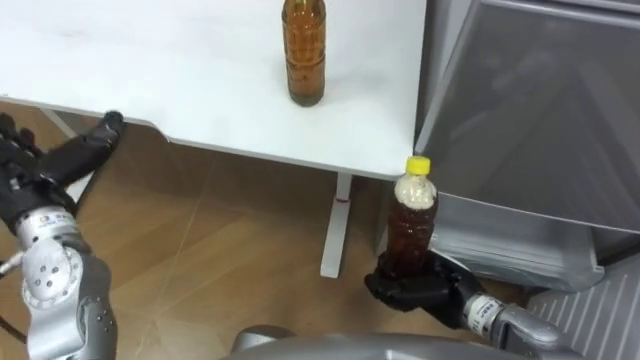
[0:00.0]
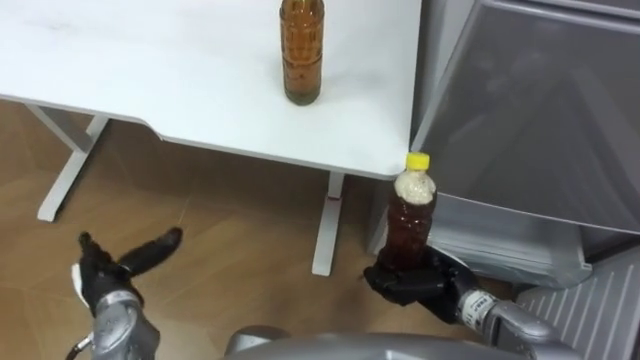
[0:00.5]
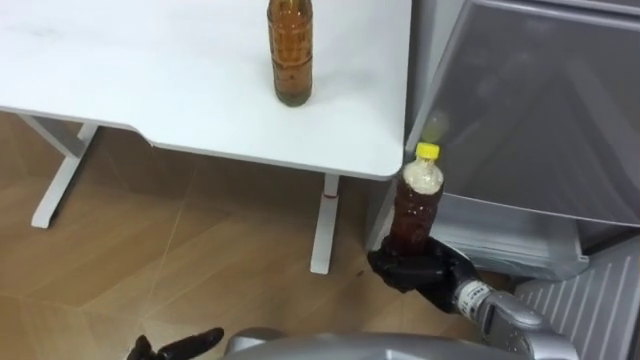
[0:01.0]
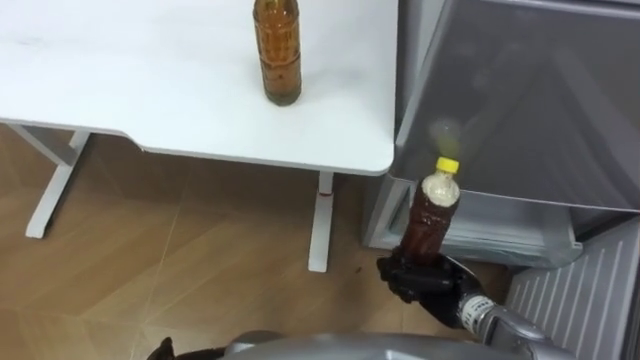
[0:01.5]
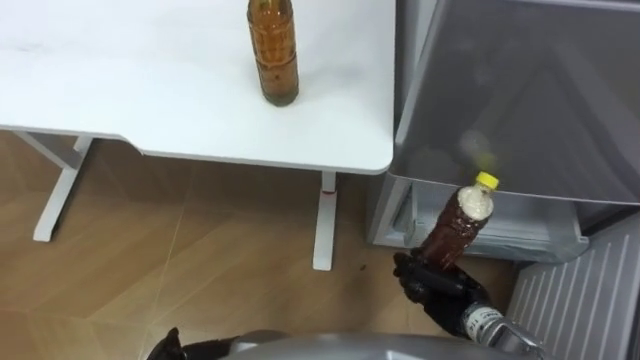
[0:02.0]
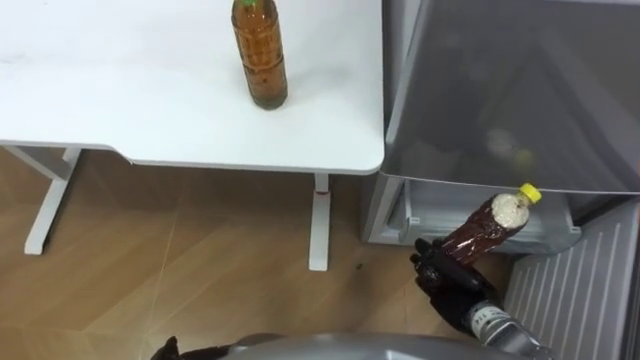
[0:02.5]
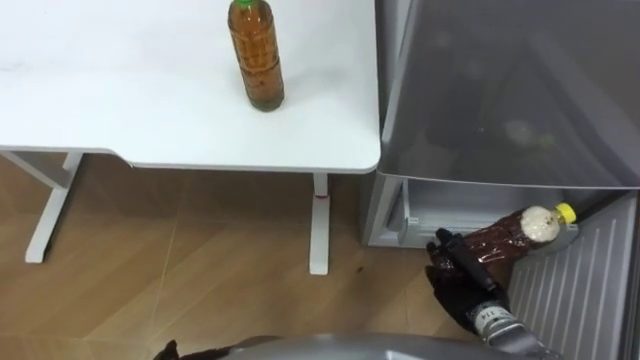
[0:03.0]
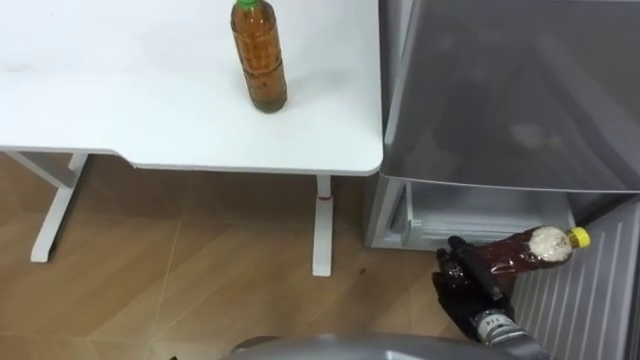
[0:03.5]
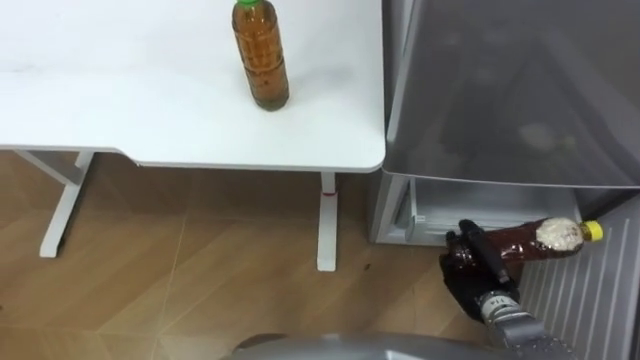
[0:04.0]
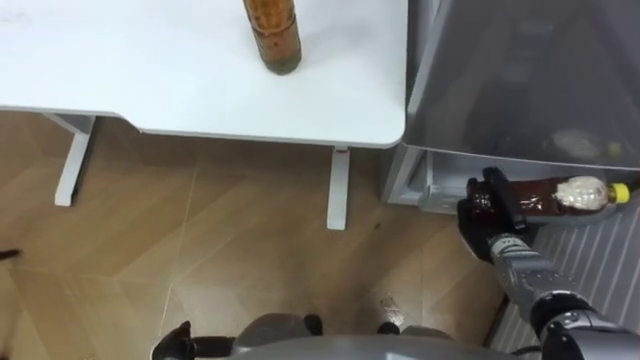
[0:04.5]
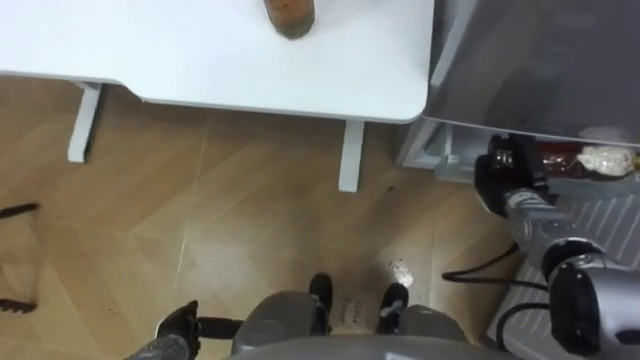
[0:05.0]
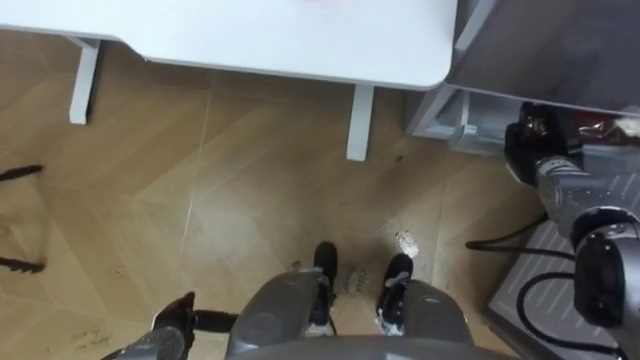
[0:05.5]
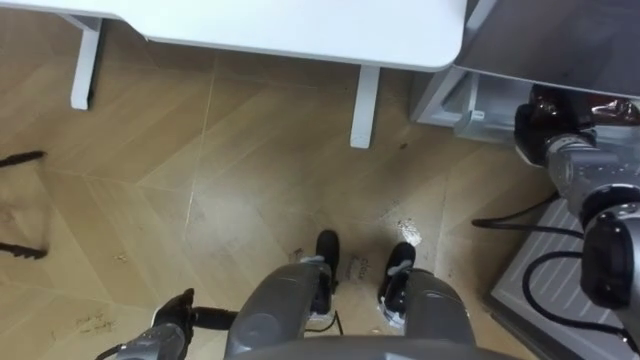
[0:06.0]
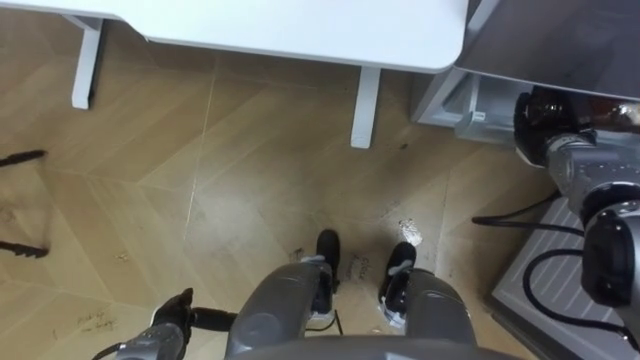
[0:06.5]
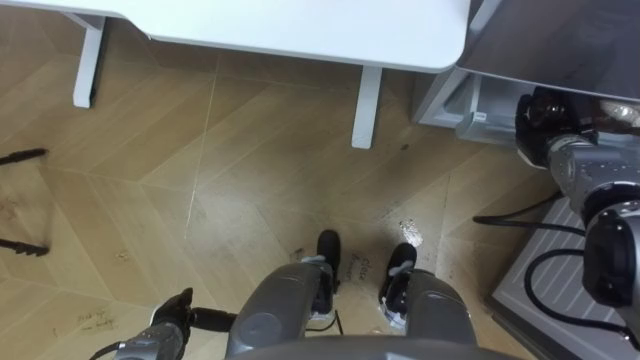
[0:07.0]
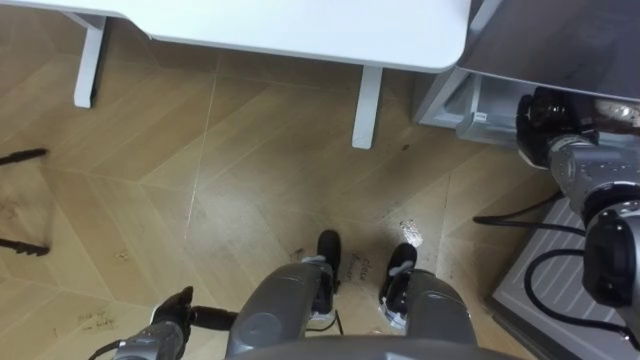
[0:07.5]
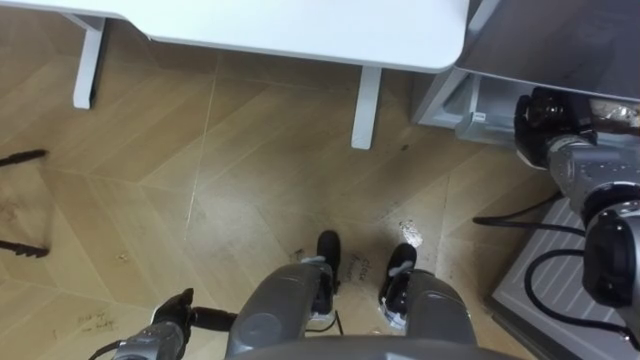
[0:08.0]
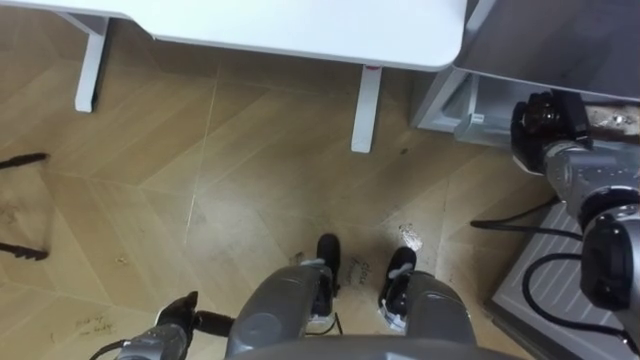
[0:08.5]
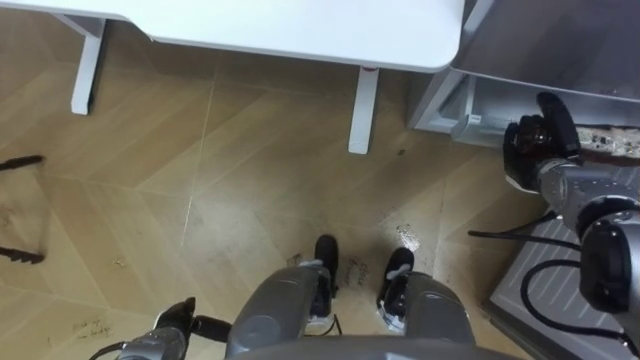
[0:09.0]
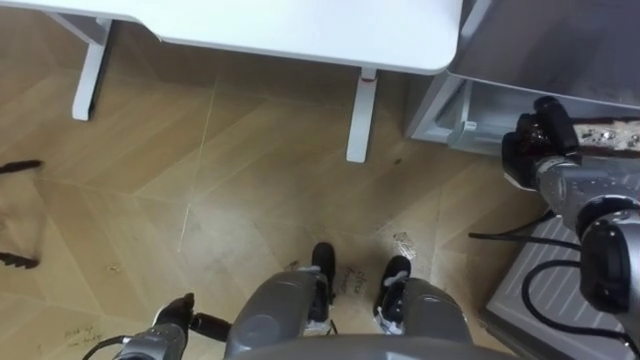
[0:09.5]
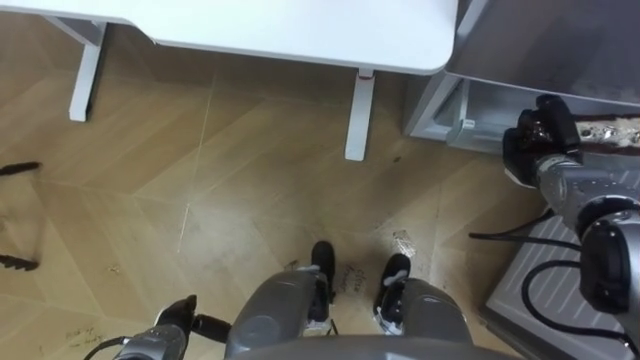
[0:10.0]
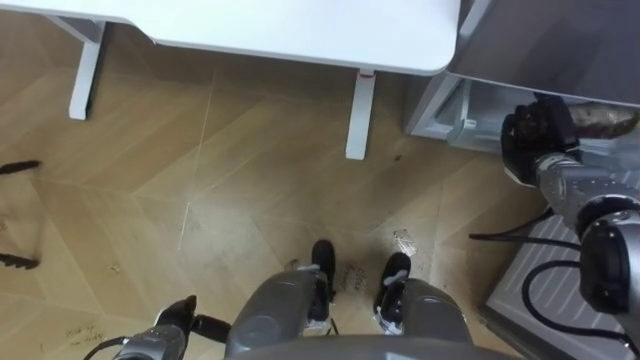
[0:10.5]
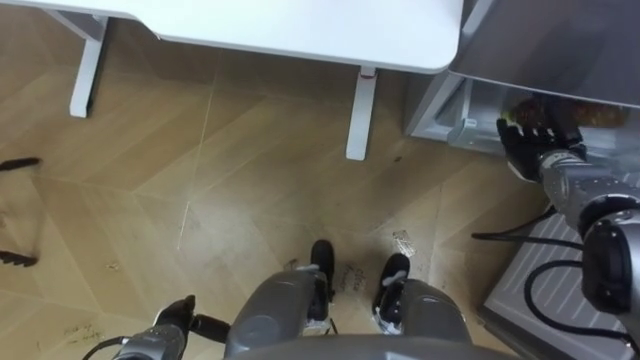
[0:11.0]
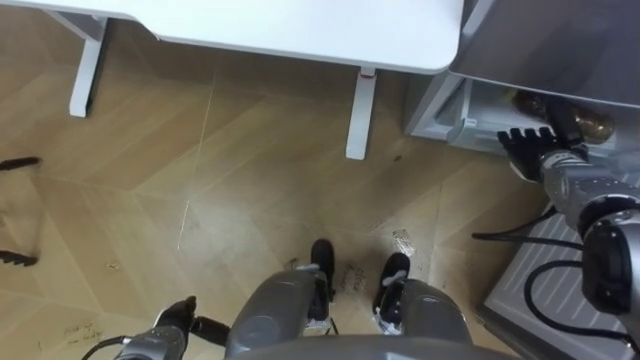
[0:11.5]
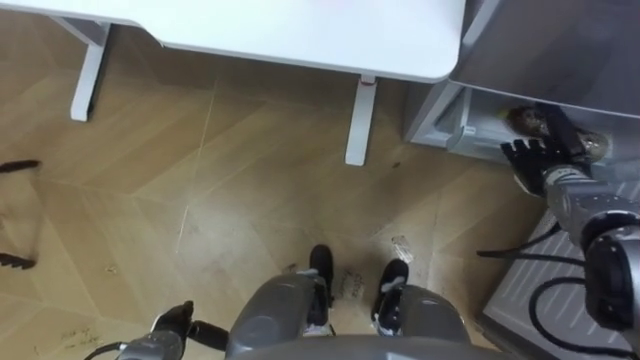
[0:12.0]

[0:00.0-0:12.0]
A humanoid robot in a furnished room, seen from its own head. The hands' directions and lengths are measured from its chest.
Task of the whole recording: Place the drink on the table on the bottom shelf of the refrigerator, then close the drawer and the refrigerator door.
0:00.0 to 0:02.0: The right hand ends up approximately 5 cm from where it was.
0:04.0 to 0:06.0: The right hand is displaced forward, upward and to the right by some 25 cm.
0:08.0 to 0:10.0: The hands stay close to where they were, moving slightly.
0:10.0 to 0:12.0: The right hand opens.

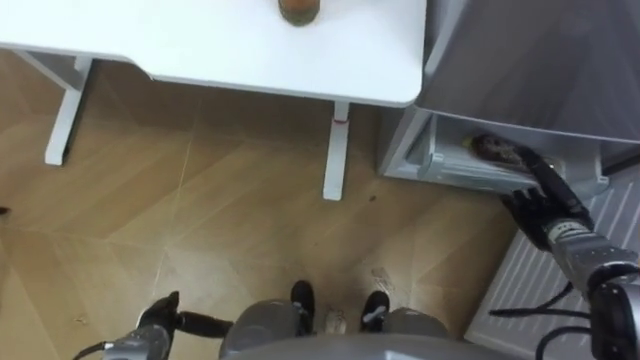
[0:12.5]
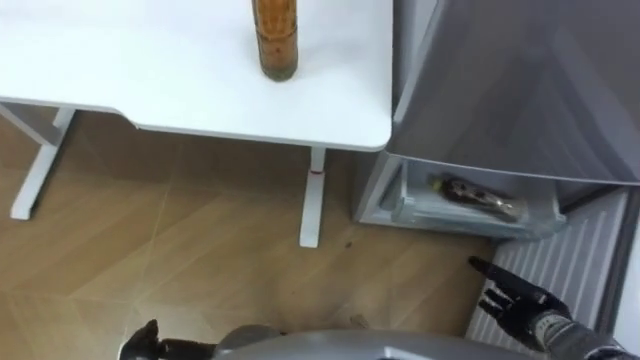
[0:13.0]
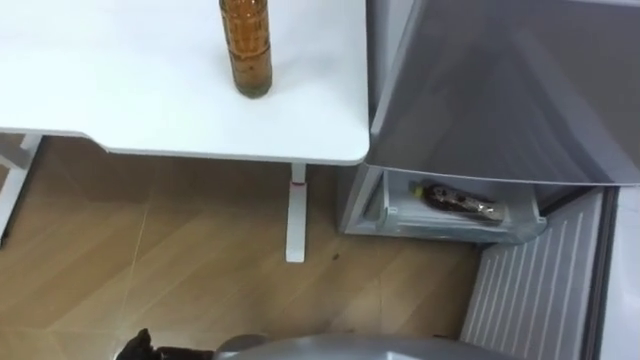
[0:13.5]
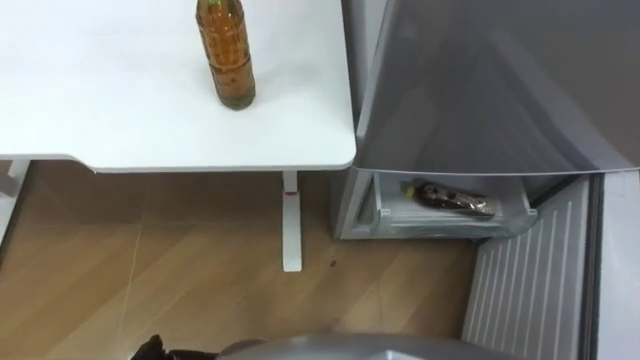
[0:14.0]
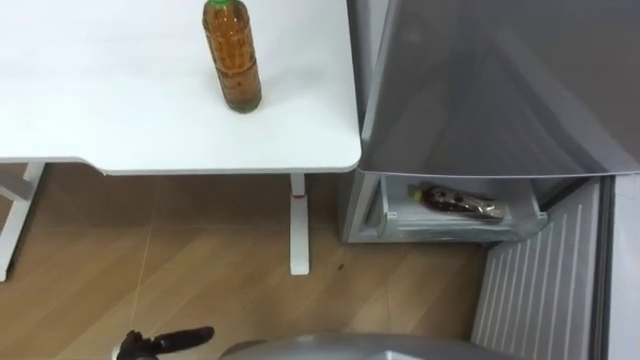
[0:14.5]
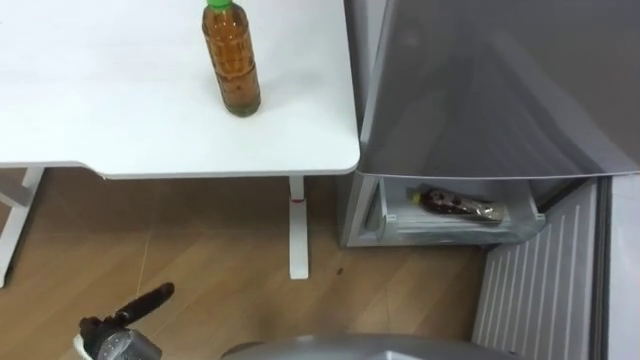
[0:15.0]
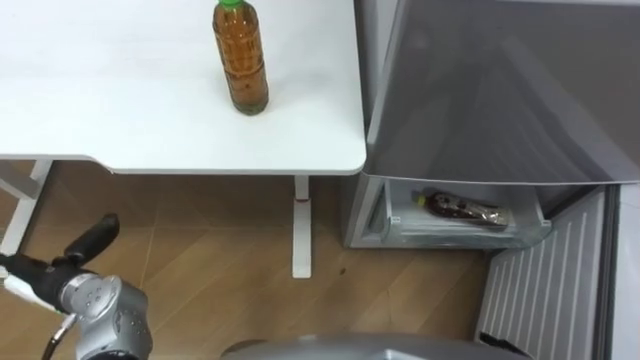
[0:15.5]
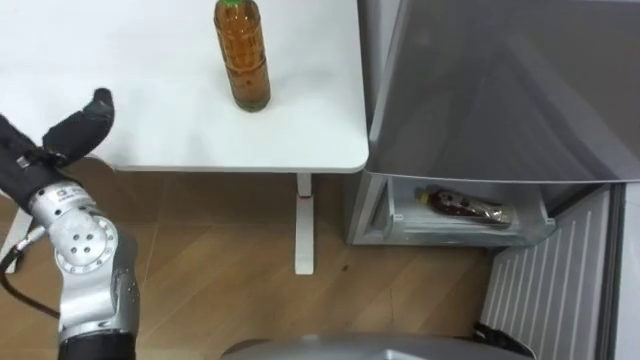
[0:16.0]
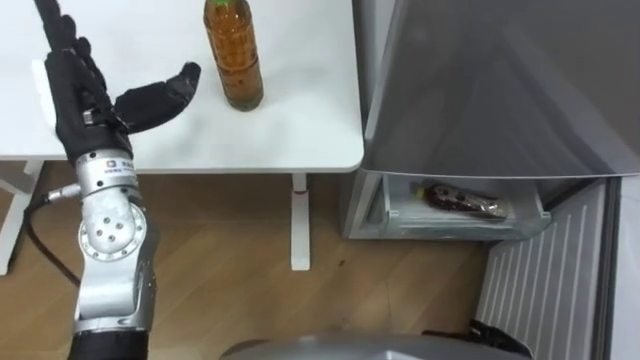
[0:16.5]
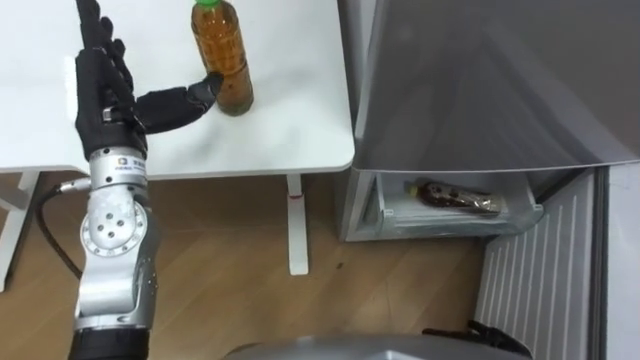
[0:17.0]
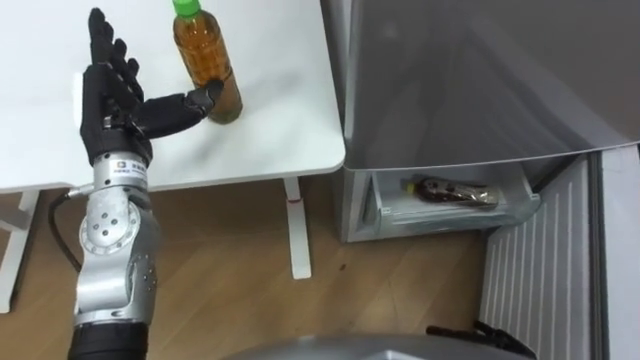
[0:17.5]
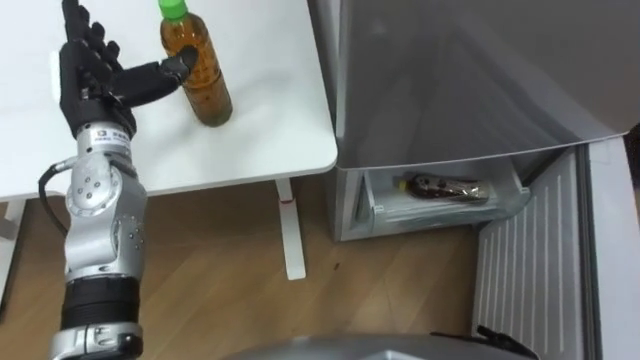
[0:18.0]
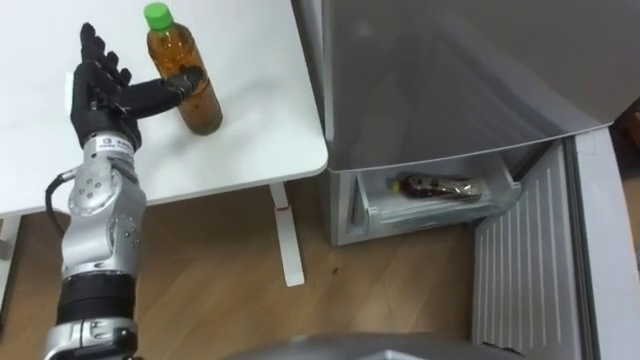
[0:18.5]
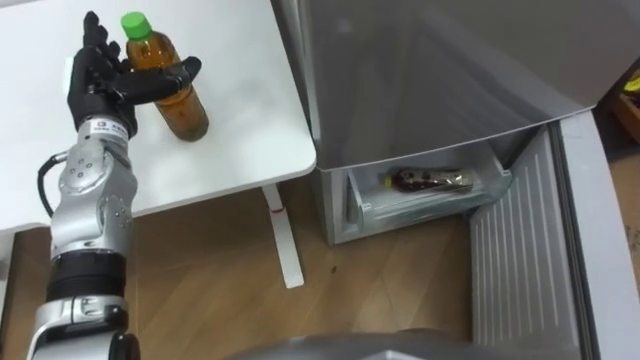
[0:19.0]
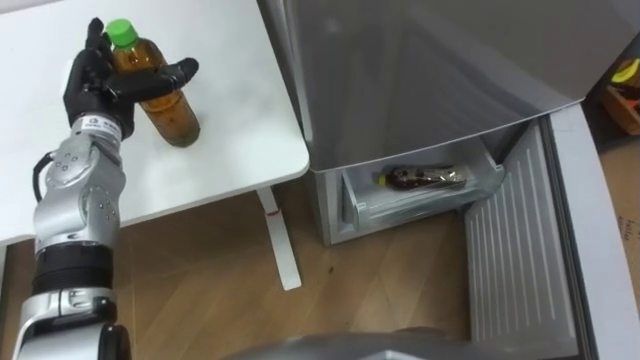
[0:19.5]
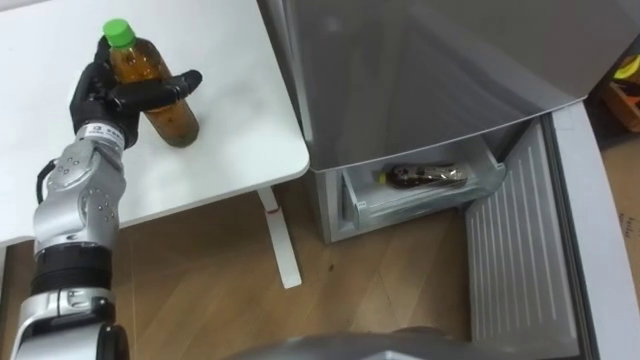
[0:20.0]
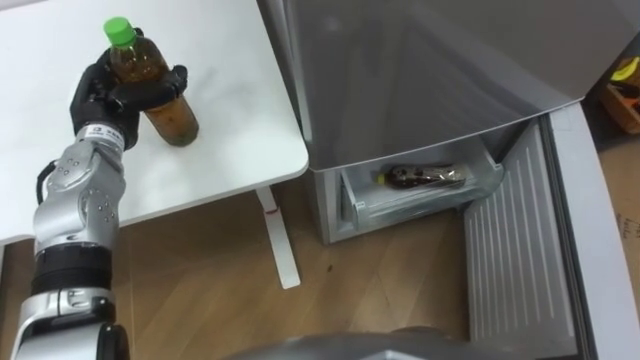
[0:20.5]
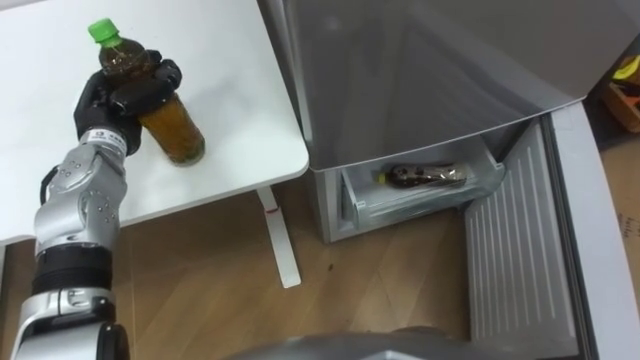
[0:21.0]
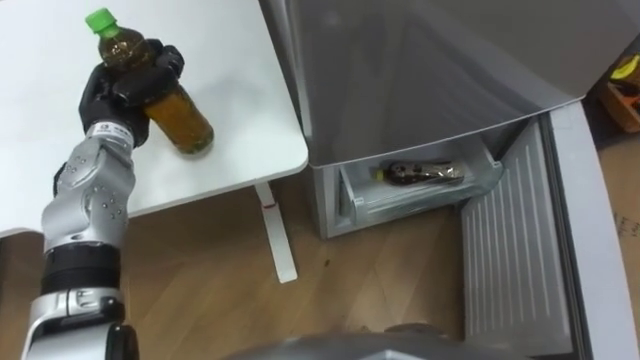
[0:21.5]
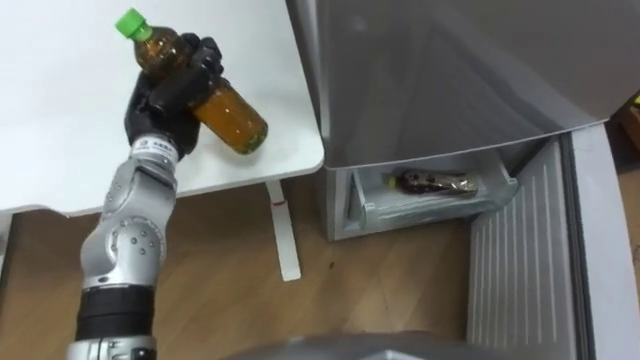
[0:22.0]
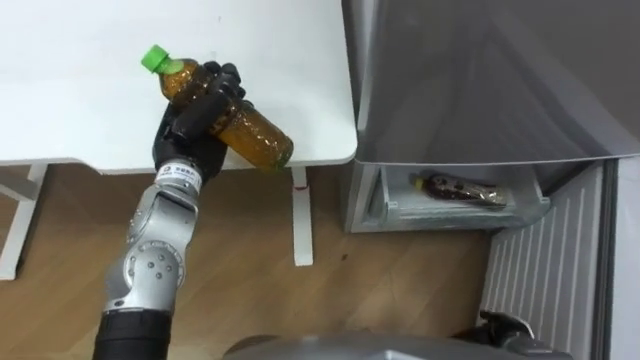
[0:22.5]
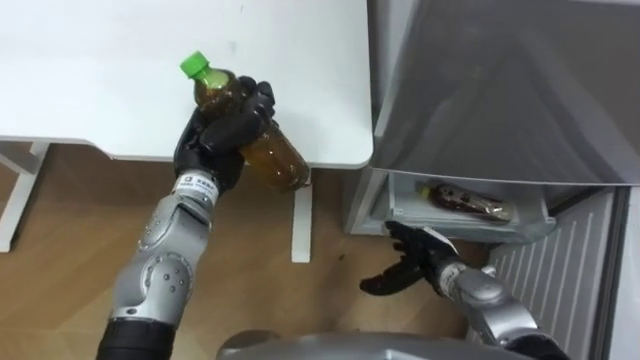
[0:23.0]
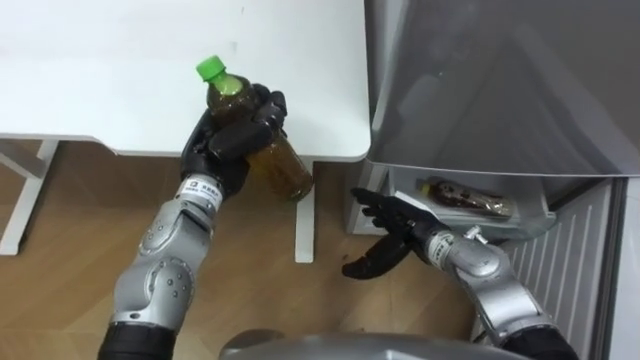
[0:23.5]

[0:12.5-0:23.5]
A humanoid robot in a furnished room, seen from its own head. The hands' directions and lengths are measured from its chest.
Task of the whole recording: Place the drink on the table on the bottom shelf of the refrigerator, then close the drawer and the refrigerator door.
0:16.0 to 0:18.0: The left hand goes some 10 cm forward and to the right.
0:18.0 to 0:20.0: The left hand moves about 5 cm.
0:20.0 to 0:21.5: The left hand closes.
0:21.5 to 0:23.5: The left hand heads to the right and backward, covering roughly 15 cm.
